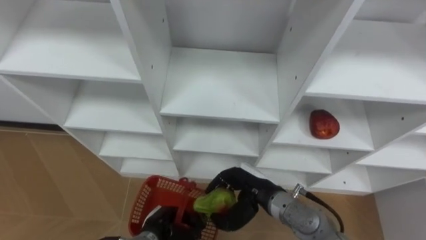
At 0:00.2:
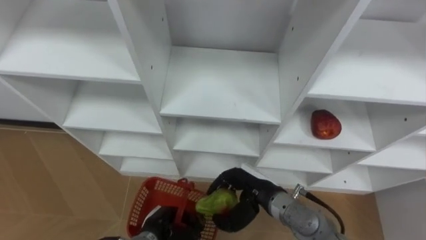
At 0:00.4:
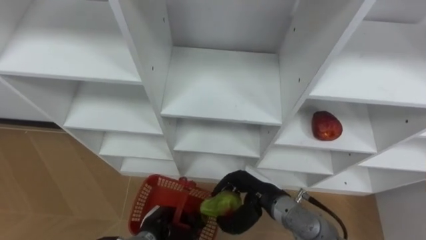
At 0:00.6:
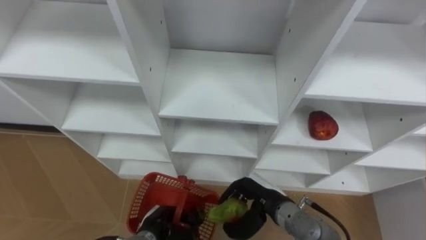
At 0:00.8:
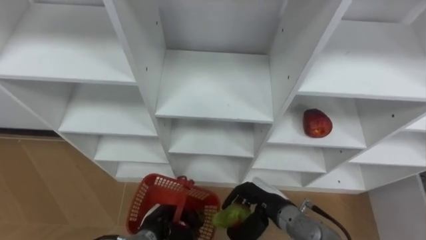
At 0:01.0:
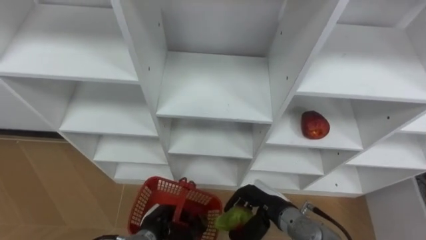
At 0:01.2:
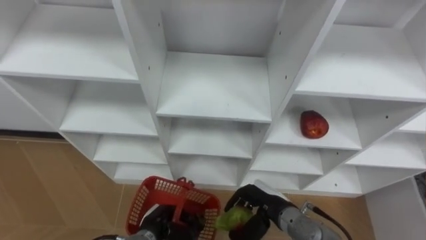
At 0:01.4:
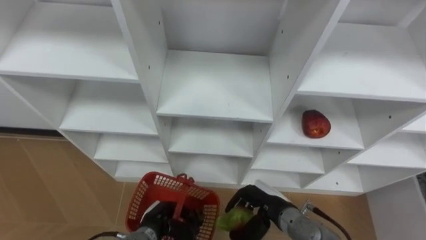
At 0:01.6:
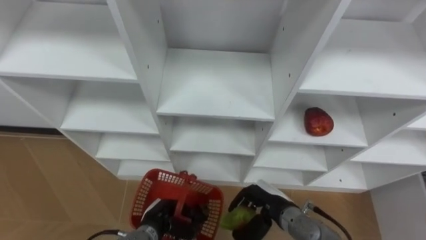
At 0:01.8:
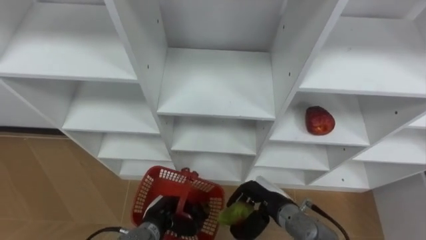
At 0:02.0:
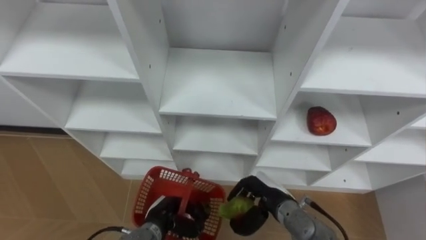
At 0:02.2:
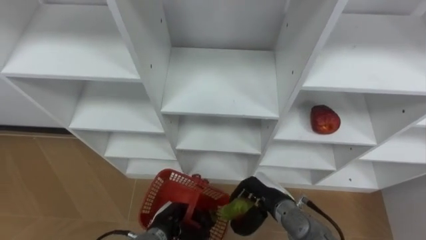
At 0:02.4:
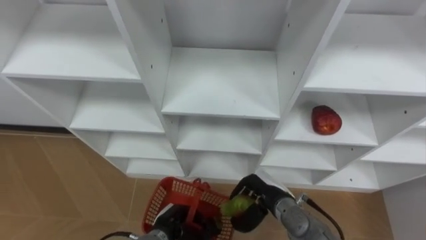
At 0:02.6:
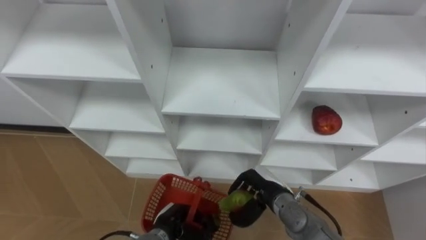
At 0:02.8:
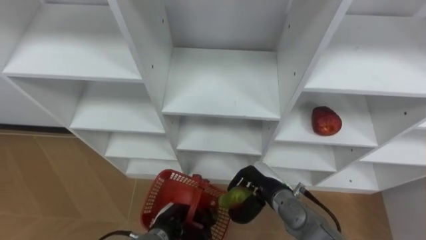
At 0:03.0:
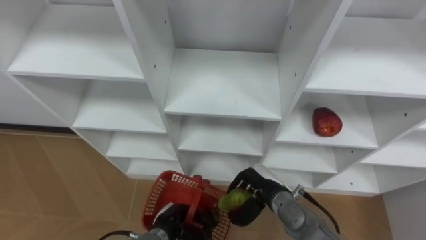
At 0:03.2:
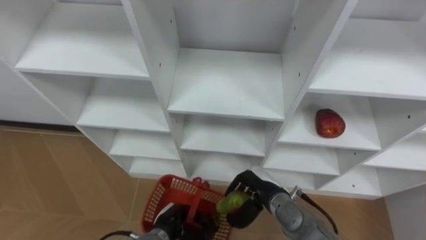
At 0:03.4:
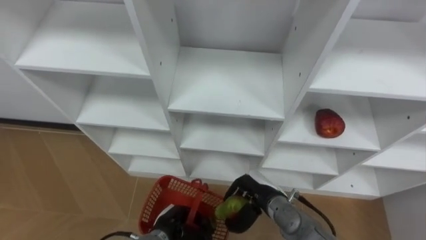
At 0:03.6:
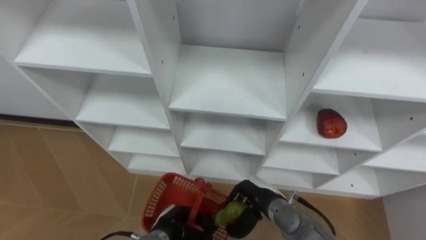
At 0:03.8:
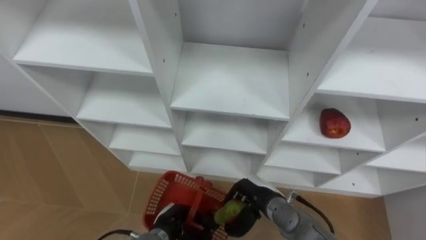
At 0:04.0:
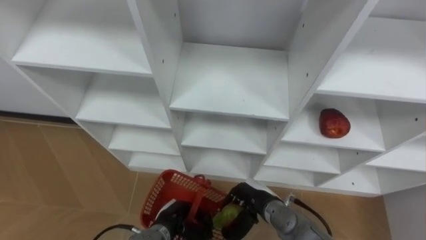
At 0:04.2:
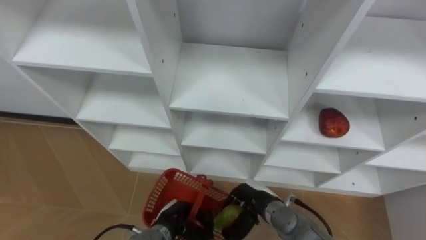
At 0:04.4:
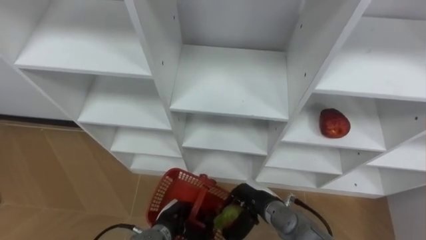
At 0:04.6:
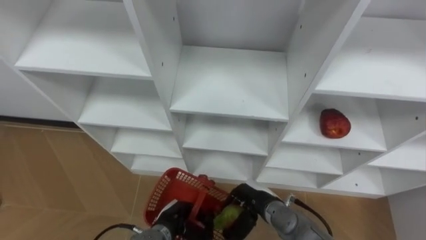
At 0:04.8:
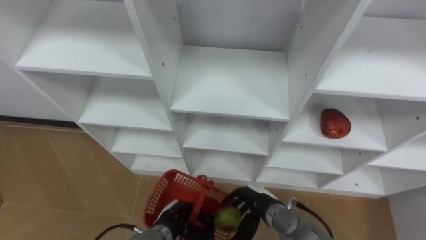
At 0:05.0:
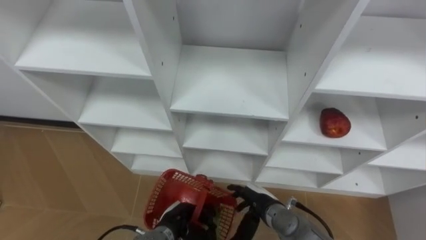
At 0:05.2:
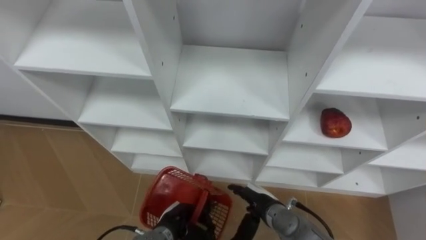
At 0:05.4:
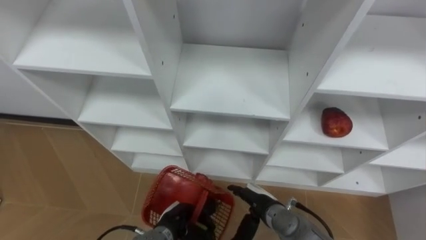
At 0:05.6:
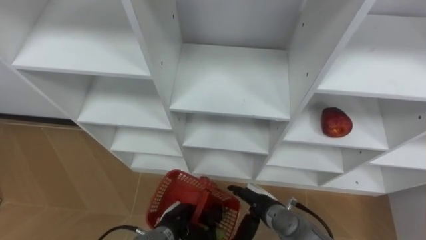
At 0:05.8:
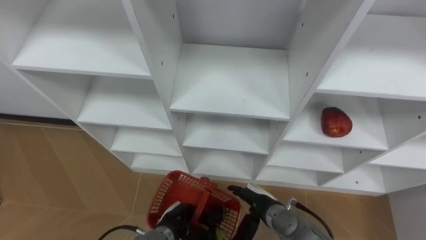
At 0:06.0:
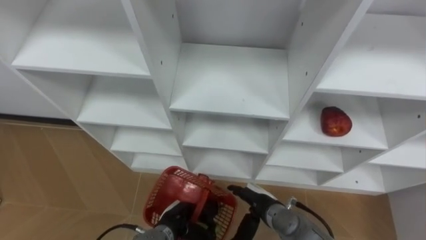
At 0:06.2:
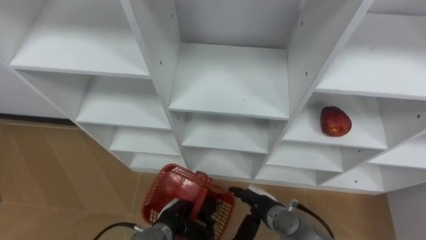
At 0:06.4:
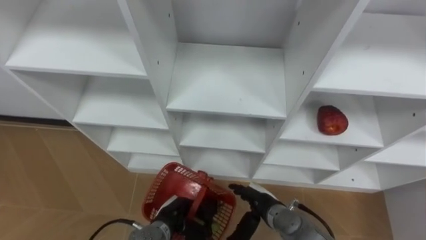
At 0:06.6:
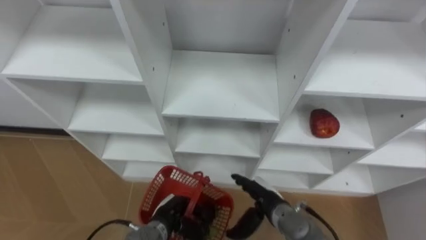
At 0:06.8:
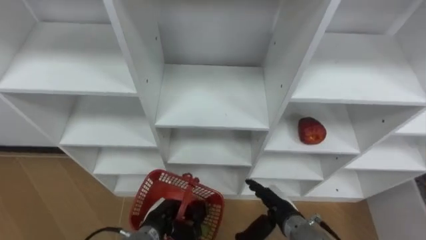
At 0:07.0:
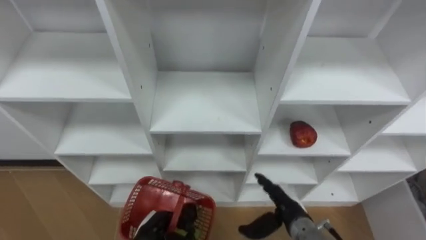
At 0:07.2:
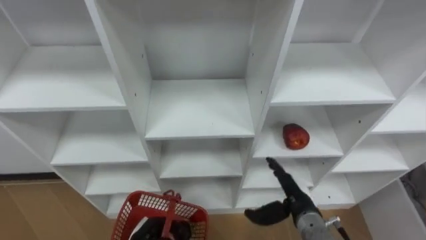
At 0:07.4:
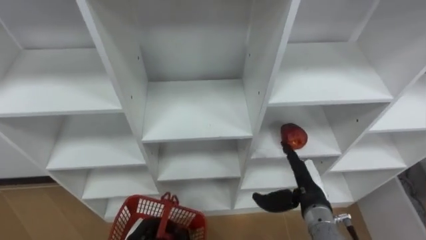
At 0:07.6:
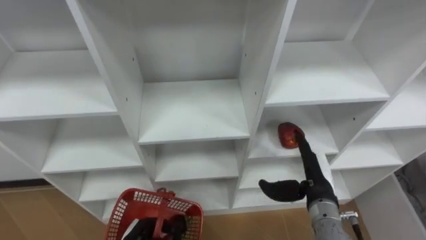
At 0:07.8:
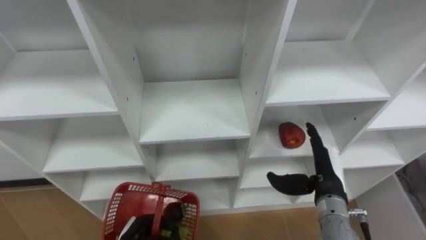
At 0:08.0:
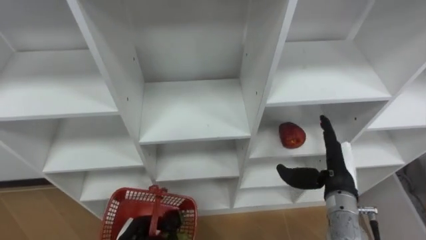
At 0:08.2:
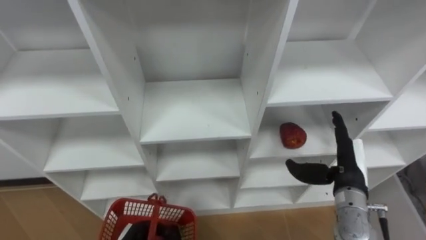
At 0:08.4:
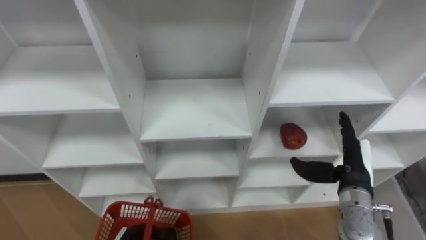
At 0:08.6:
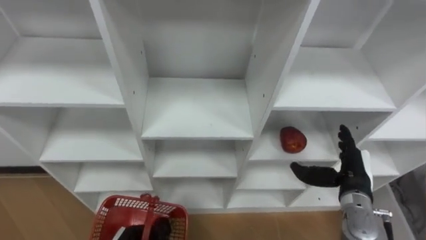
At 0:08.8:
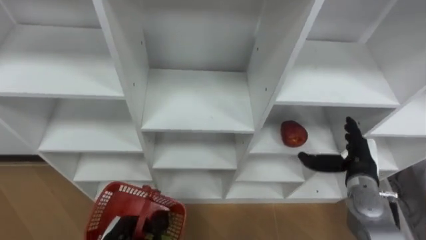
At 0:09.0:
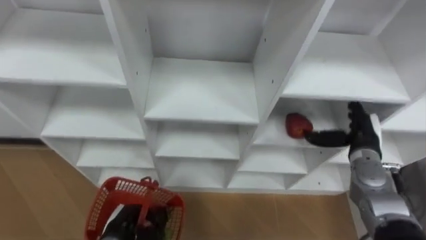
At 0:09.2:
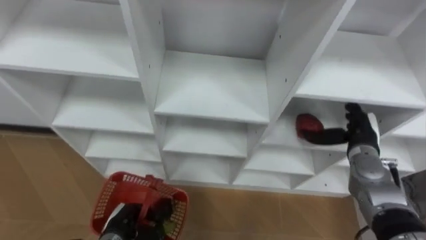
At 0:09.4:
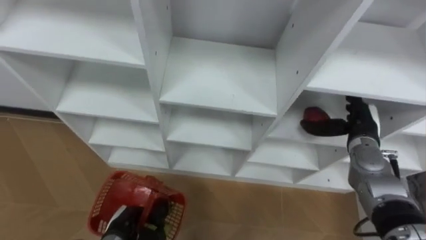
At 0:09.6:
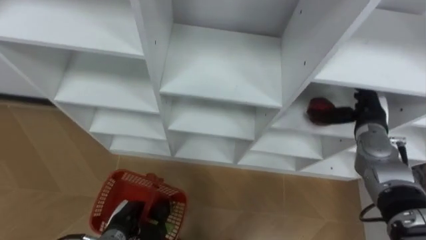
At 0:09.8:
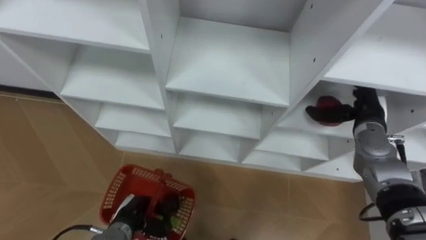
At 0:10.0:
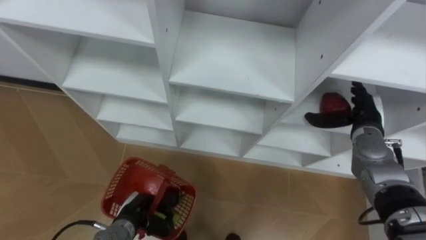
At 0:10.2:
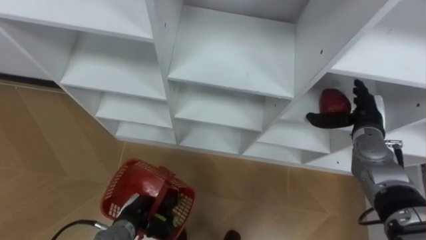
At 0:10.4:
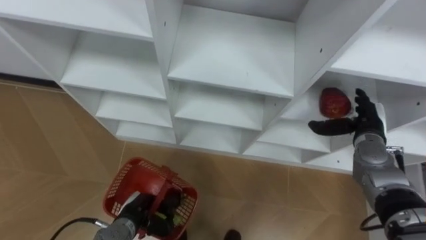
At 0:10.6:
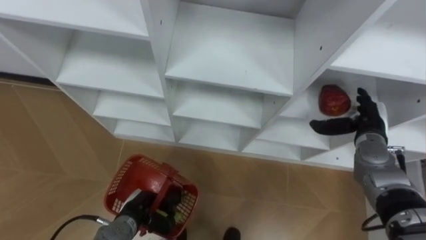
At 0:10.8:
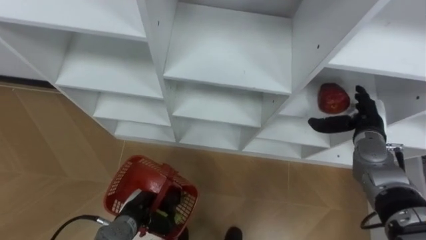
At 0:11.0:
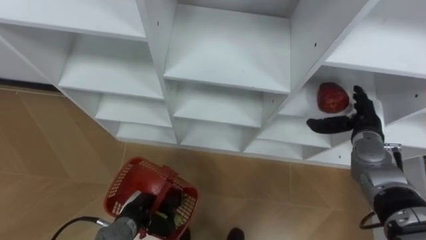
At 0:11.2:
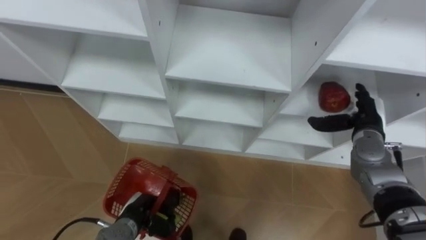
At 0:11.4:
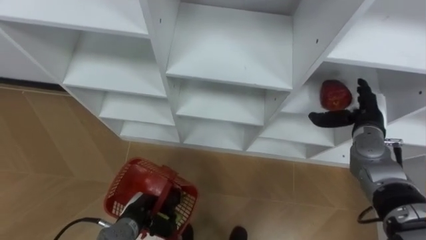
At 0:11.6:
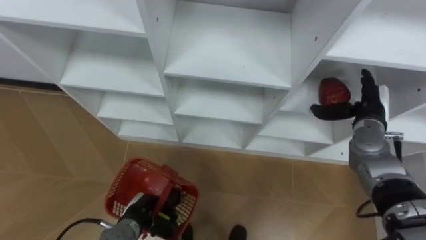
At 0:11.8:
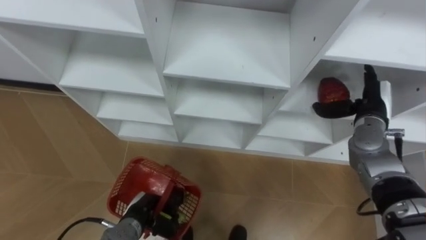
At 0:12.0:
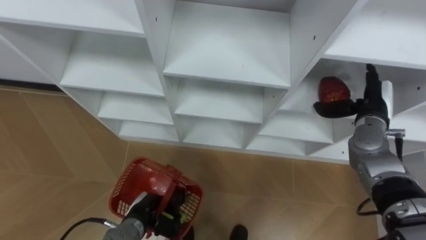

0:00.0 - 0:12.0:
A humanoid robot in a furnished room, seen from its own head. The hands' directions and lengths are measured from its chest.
Task of the whole recording: Hold the basket and collect the fruits from 3 different cells of the closet into it.
0:00.0 - 0:01.6: The right hand moves downward, approximately 5 cm.
0:03.0 - 0:04.4: The hands stay close to where they were, moving slightly.
0:04.4 - 0:06.0: The right hand opens its fingers.
0:06.0 - 0:07.6: The left hand goes some 10 cm to the left; the right hand shifts approximately 15 cm to the right and upward.
0:07.6 - 0:09.0: The right hand moves to the right and forward, about 10 cm.

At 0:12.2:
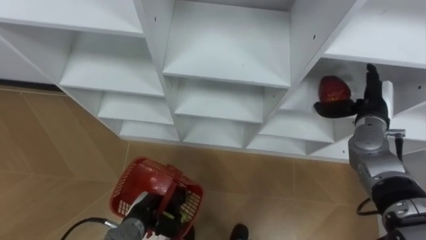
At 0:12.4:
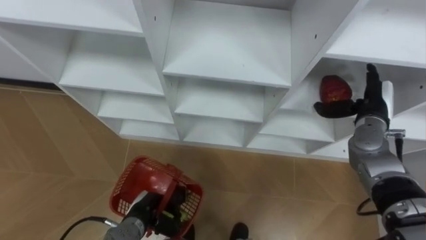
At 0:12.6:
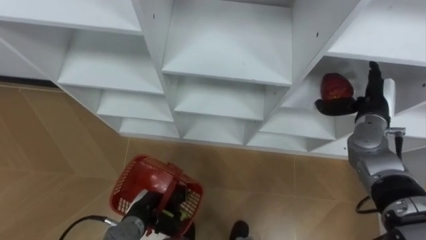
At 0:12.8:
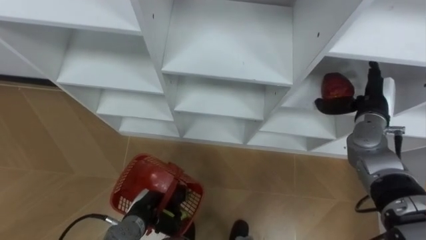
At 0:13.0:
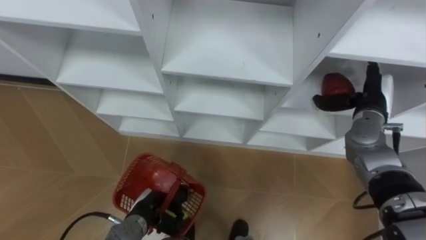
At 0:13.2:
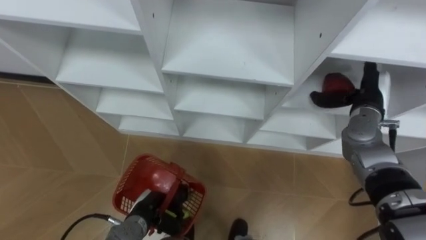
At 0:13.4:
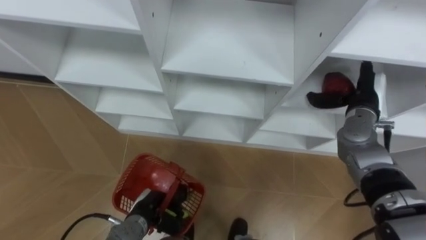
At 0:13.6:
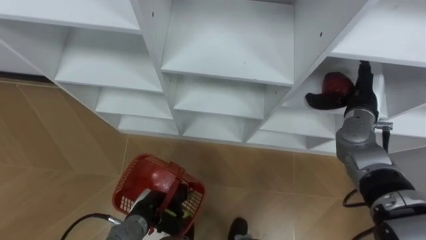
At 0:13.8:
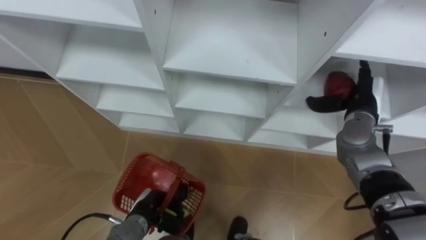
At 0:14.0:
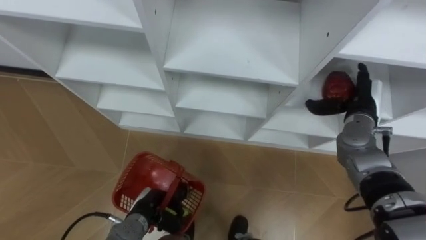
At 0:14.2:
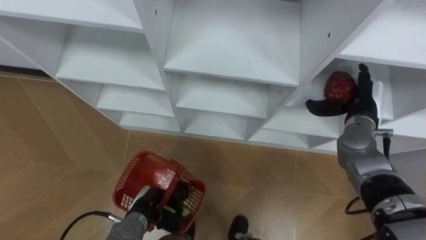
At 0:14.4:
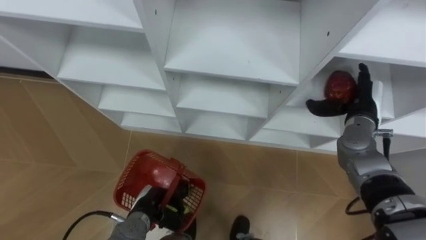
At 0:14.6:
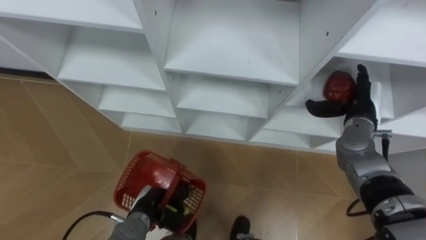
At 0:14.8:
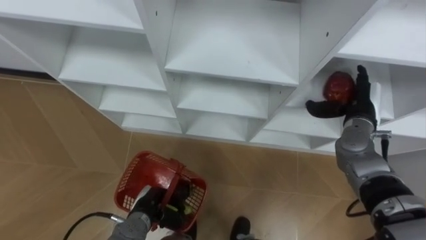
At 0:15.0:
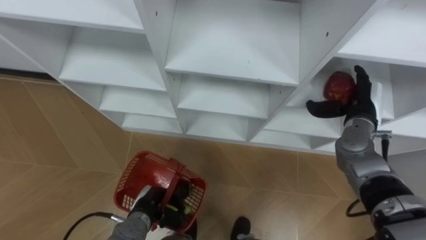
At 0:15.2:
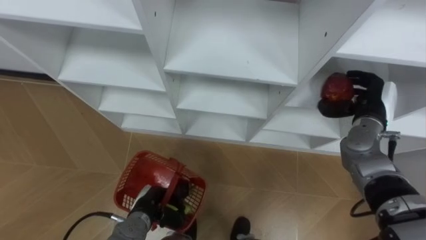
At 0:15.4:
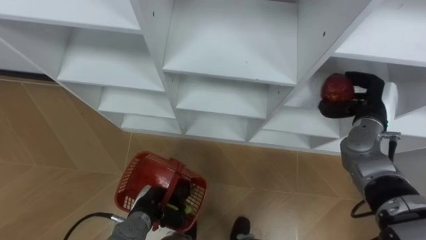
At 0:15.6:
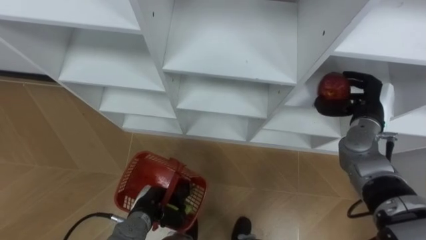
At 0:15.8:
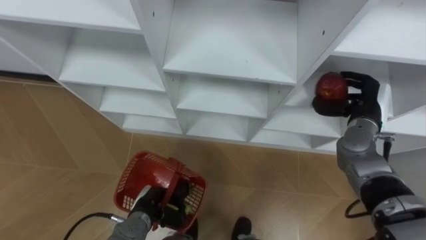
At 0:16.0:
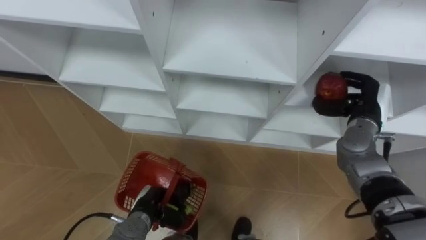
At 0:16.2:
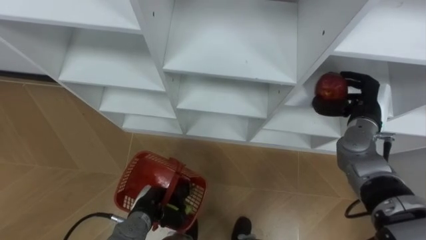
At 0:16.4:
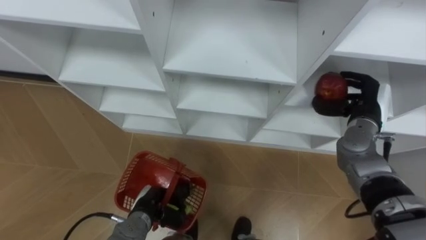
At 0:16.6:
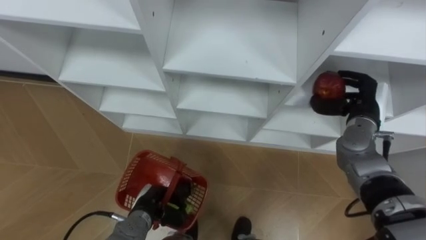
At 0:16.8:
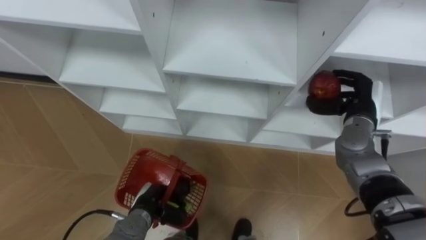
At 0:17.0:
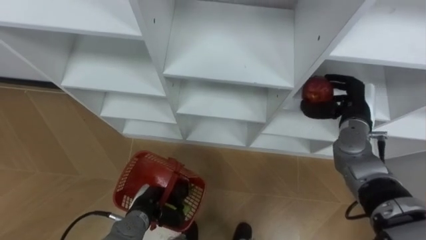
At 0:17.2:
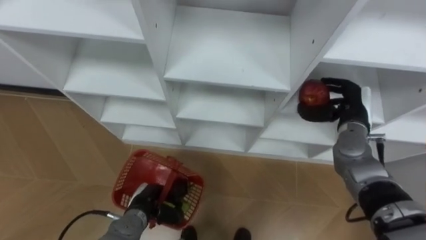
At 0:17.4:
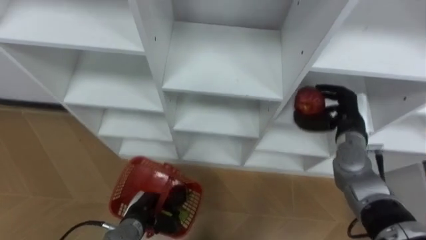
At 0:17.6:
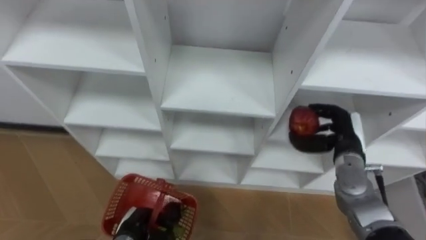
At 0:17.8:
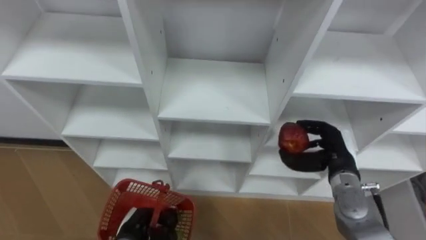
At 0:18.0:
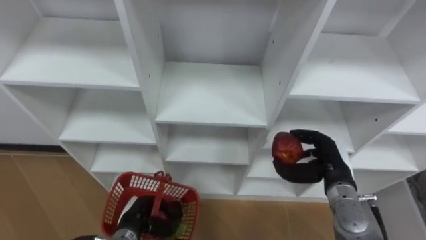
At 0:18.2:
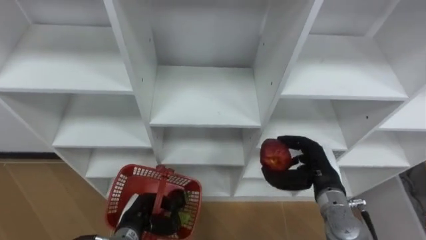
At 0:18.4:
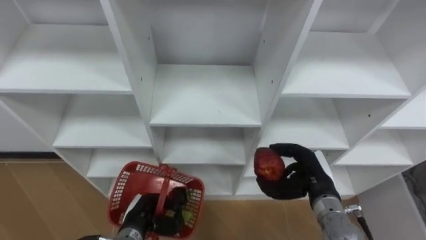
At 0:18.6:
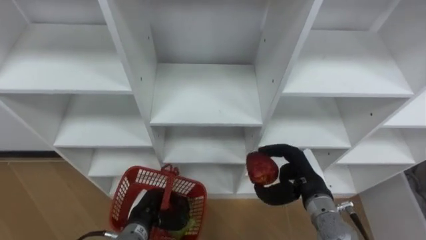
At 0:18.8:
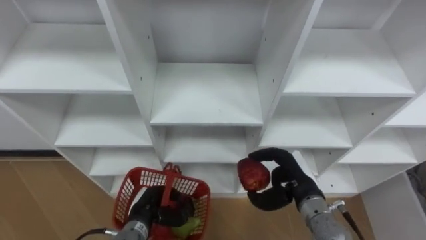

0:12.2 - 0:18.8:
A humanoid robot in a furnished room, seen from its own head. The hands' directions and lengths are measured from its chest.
Task of the whole recording: Hold the basket and collect the fruits from 3 different cells of the closet into it.
0:13.8 - 0:15.4: The right hand closes up.
0:17.2 - 0:18.8: The right hand heads backward, to the left and downward, covering roughly 15 cm.
